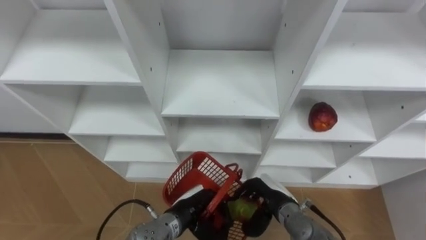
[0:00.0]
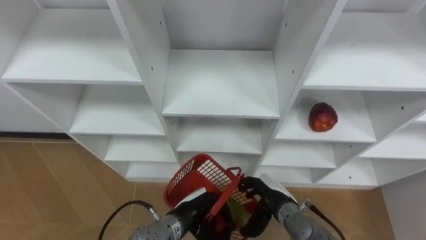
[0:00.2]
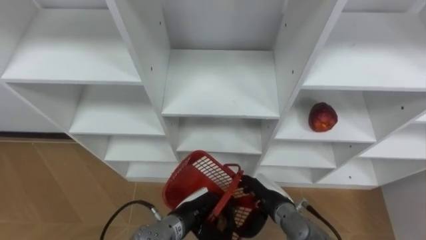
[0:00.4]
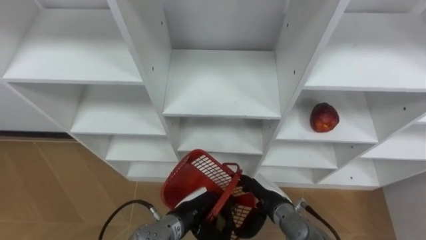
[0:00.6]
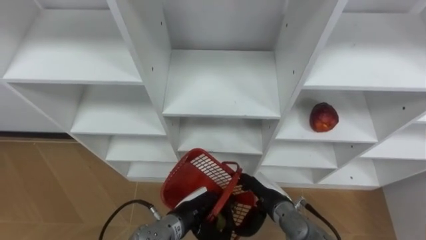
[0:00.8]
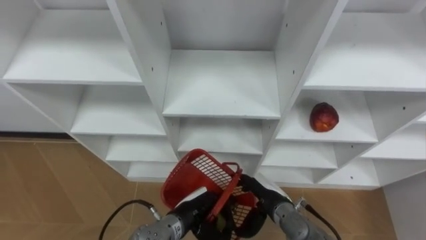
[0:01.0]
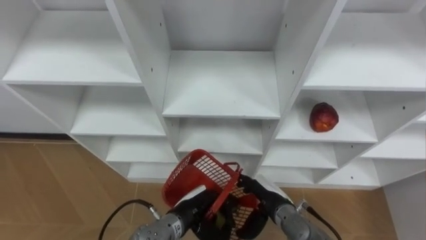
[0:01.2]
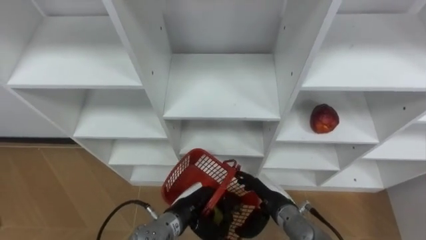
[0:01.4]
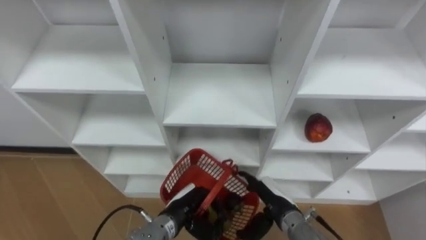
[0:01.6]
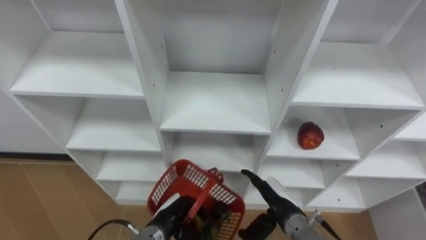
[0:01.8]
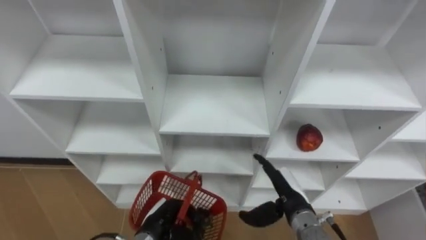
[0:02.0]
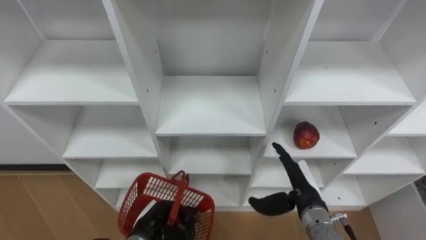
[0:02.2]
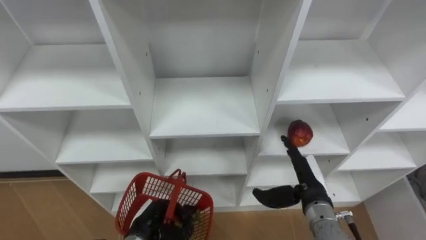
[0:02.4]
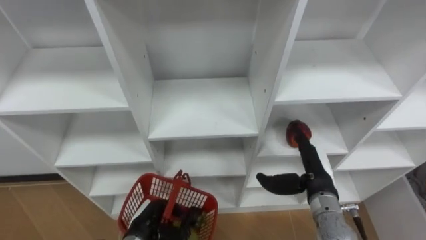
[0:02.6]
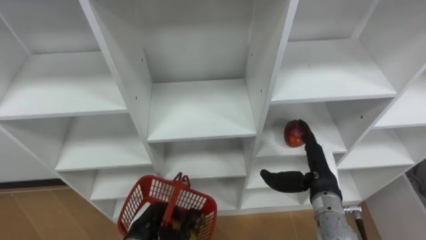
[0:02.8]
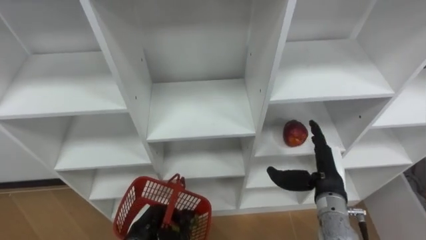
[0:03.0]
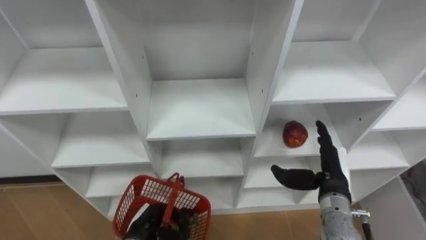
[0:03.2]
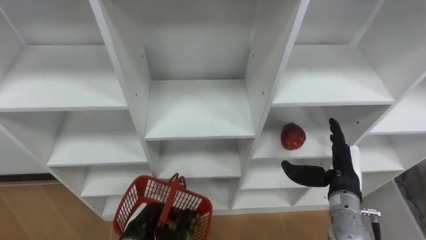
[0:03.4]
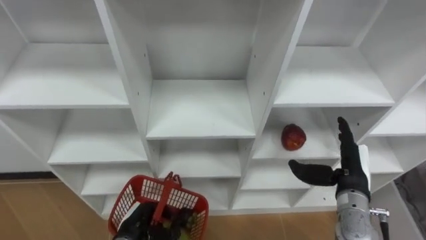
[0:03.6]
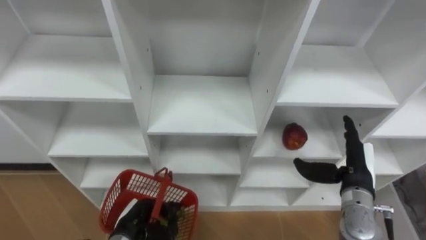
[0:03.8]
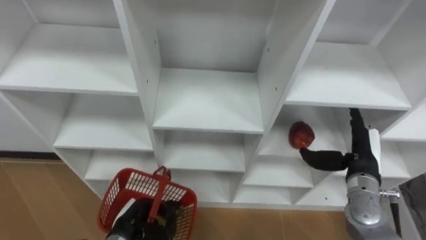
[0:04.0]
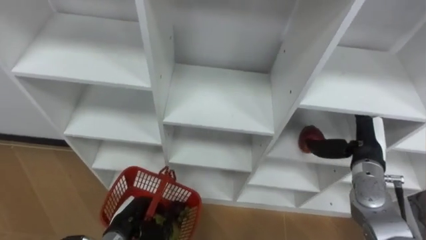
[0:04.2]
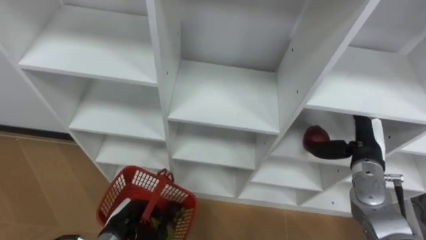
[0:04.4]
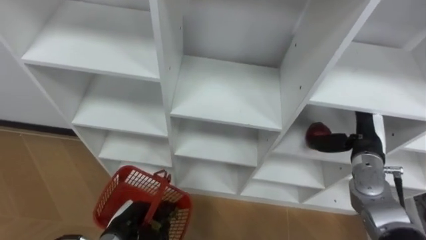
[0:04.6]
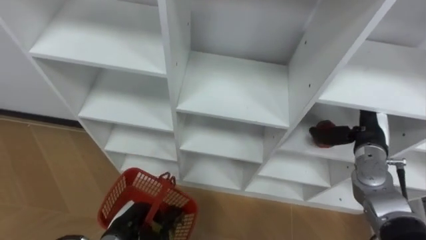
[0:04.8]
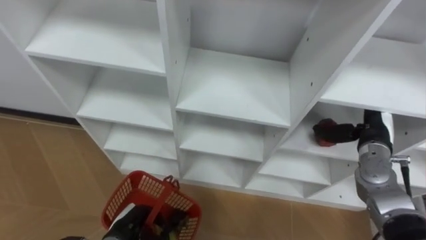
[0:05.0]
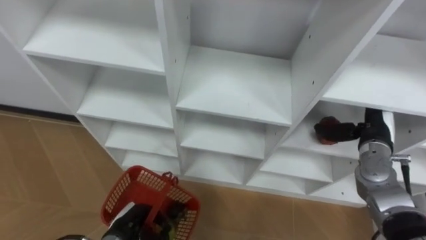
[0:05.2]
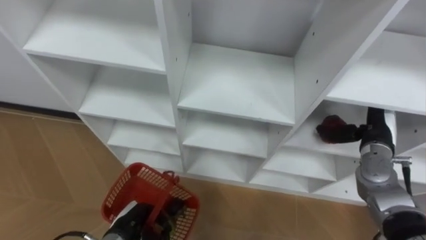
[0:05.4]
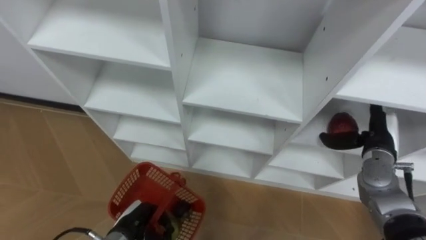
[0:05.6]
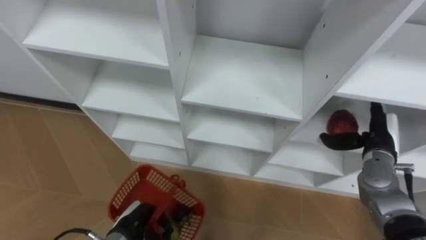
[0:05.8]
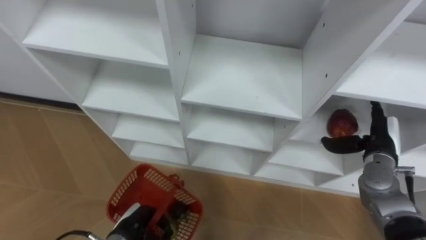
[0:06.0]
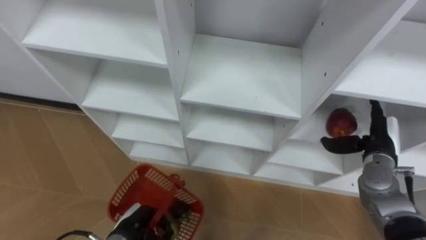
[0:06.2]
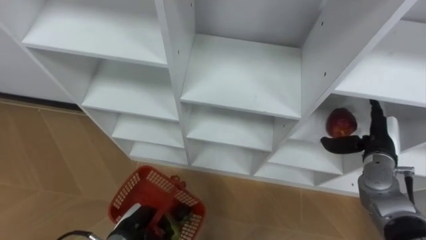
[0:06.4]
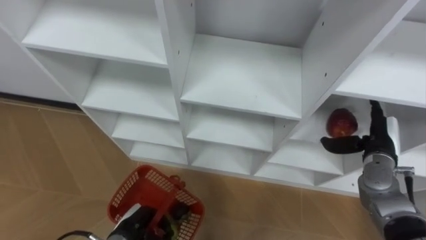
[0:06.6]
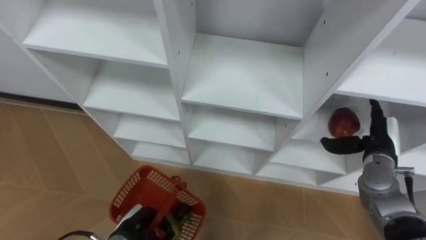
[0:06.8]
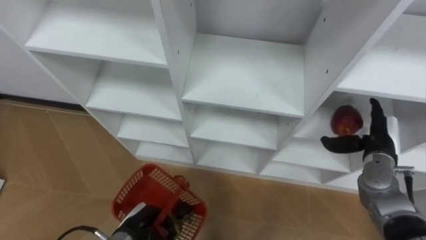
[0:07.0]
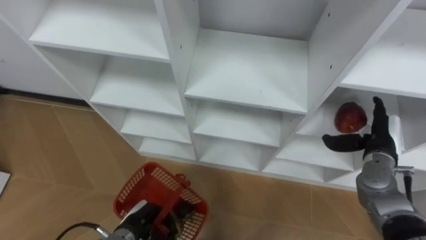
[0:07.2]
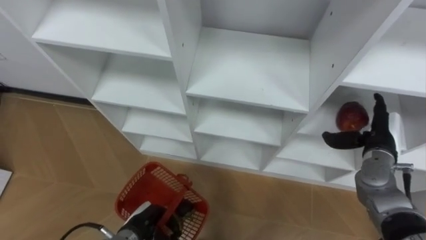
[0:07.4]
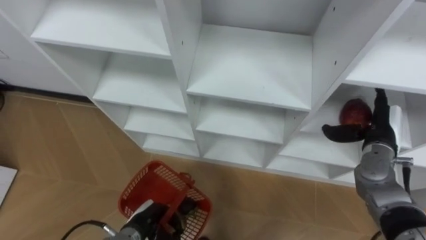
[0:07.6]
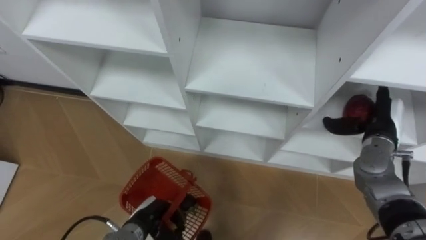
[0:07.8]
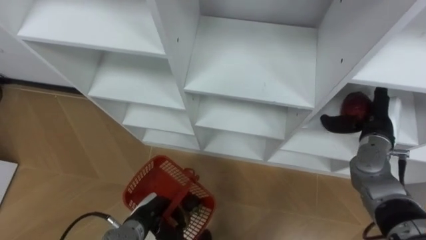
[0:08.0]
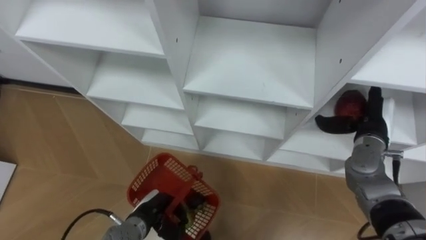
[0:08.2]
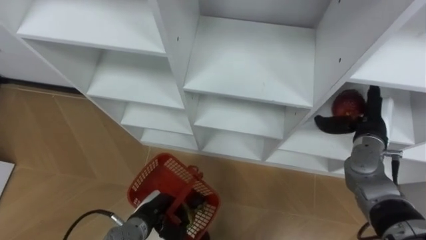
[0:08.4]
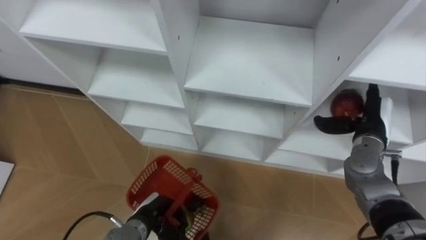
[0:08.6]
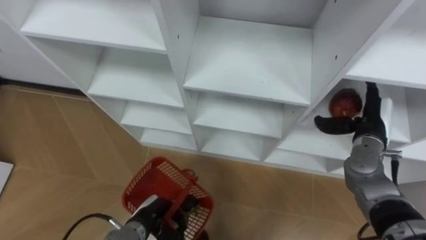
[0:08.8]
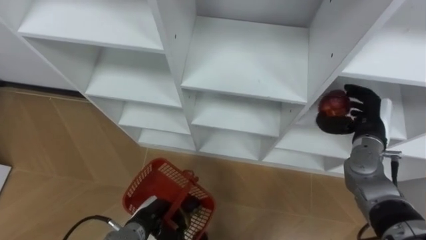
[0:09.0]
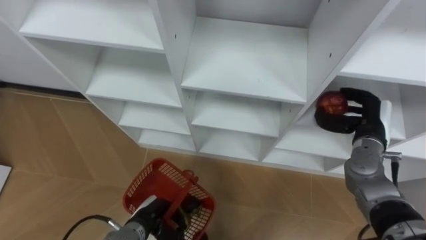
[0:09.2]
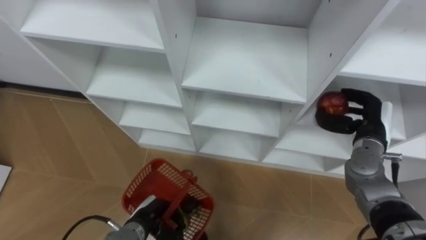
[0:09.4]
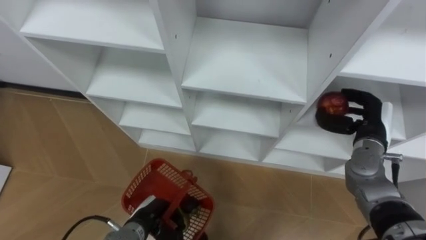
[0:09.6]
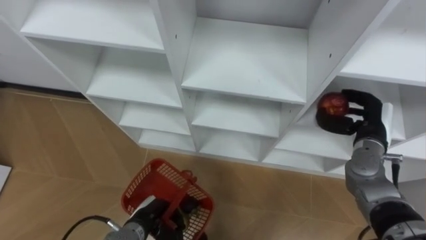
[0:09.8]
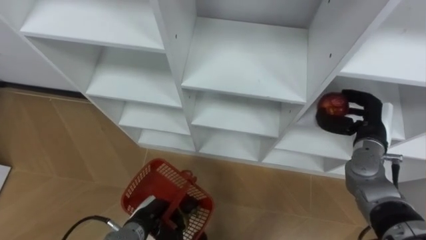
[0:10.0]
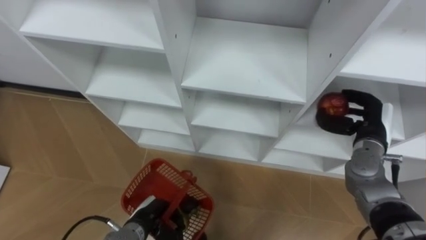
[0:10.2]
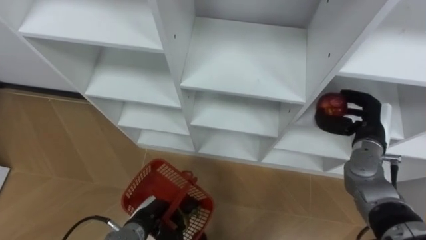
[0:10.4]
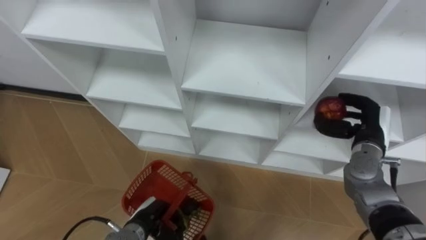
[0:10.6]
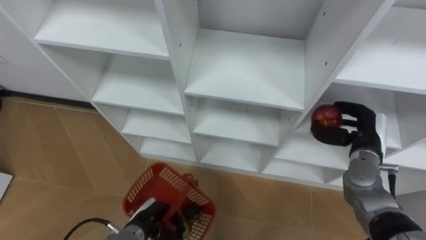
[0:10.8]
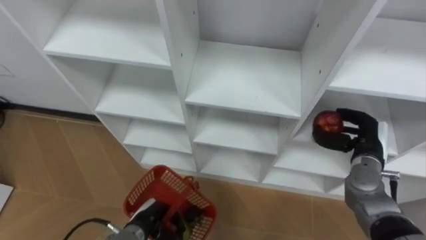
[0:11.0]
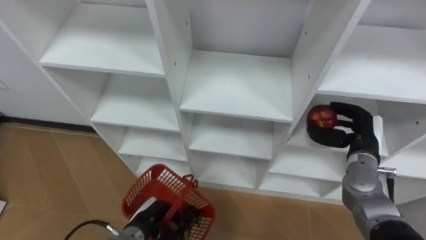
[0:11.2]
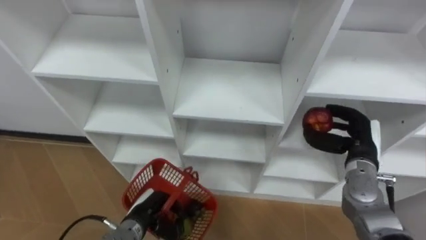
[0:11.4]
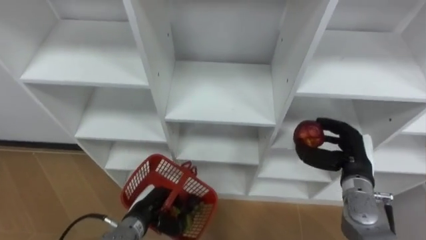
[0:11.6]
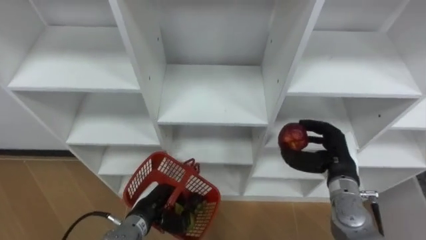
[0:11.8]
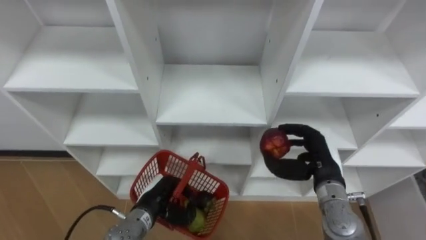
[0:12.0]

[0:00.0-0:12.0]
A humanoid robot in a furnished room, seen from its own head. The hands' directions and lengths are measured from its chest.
Task of the whole recording: Hold the basket and collect the fruits from 3 different cells of the closet into it.
0.0 to 1.6 s: The right hand opens.
1.6 to 3.0 s: The left hand shifts roughly 10 cm to the left; the right hand shifts some 10 cm to the right and upward.
3.0 to 4.4 s: The right hand goes some 10 cm to the right.
7.6 to 9.0 s: The right hand closes its fingers.
10.4 to 12.0 s: The right hand moves to the left and backward, approximately 10 cm. Meanwhile the left hand moves about 5 cm.

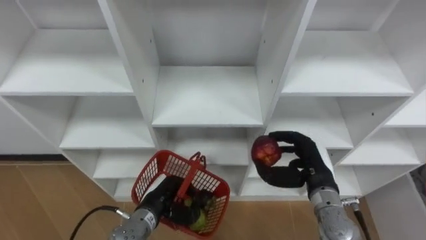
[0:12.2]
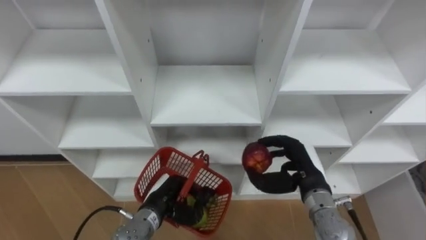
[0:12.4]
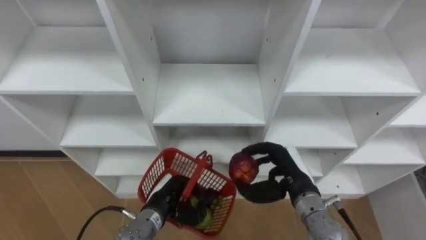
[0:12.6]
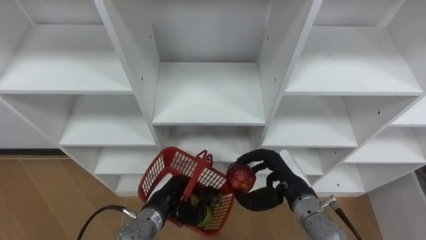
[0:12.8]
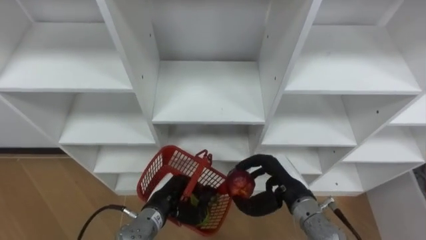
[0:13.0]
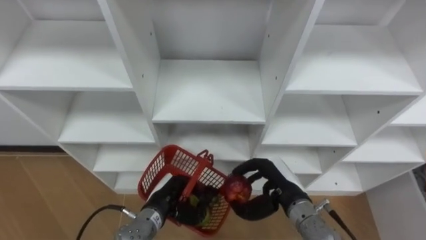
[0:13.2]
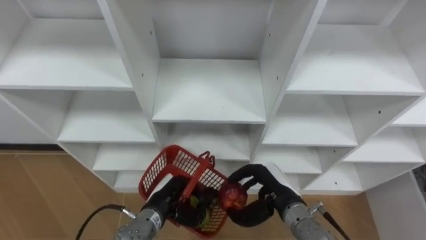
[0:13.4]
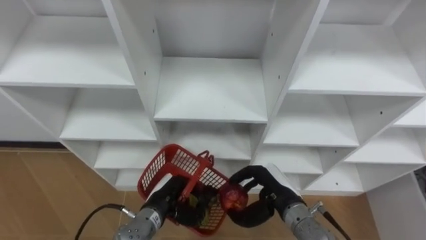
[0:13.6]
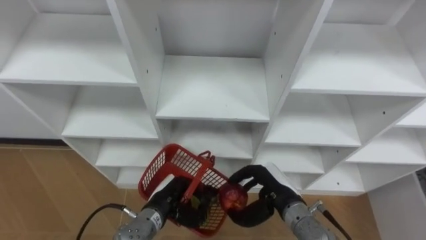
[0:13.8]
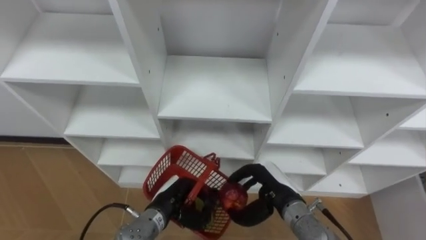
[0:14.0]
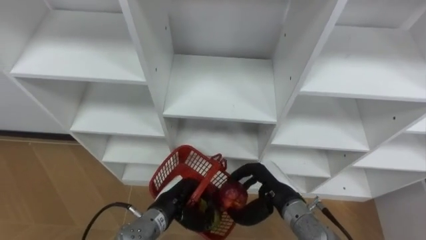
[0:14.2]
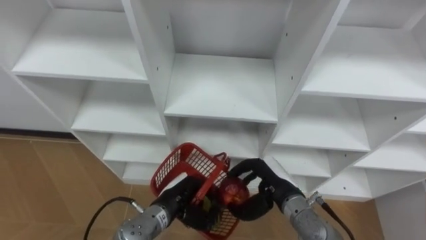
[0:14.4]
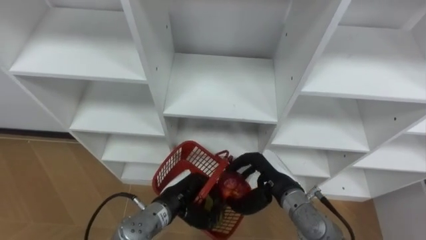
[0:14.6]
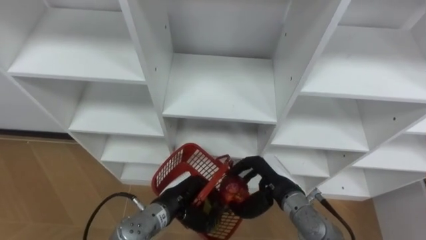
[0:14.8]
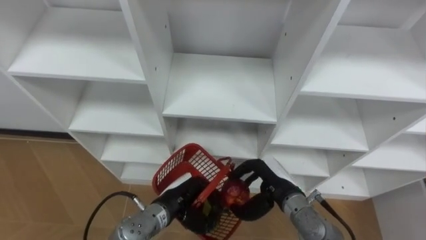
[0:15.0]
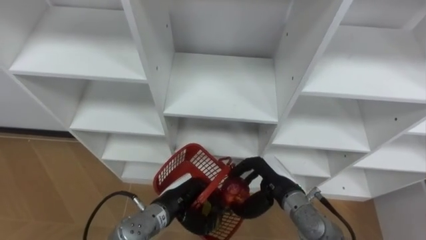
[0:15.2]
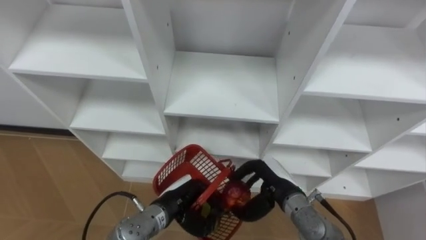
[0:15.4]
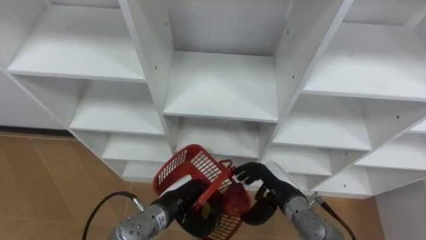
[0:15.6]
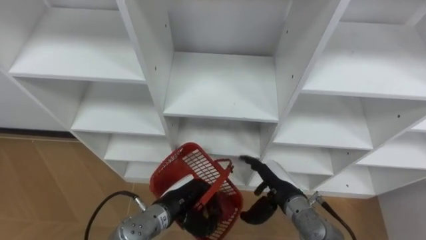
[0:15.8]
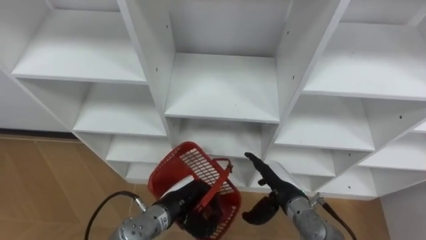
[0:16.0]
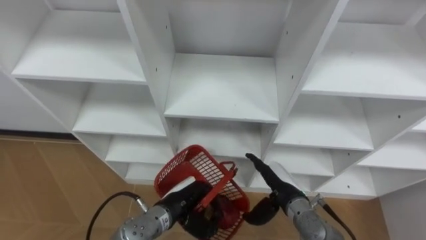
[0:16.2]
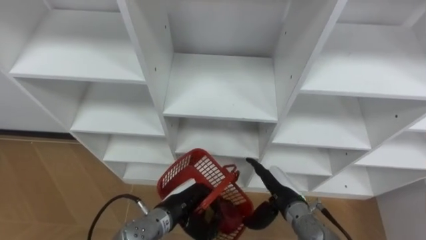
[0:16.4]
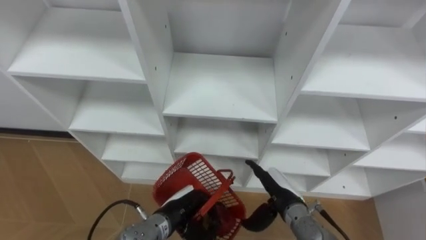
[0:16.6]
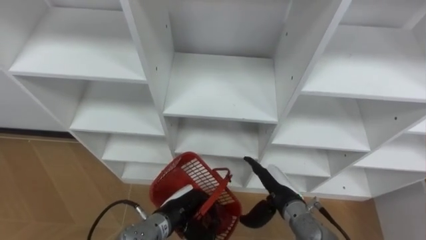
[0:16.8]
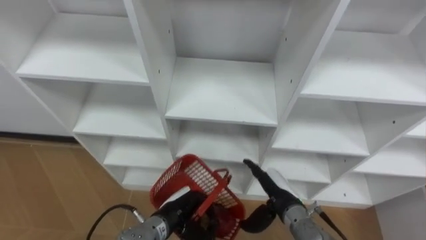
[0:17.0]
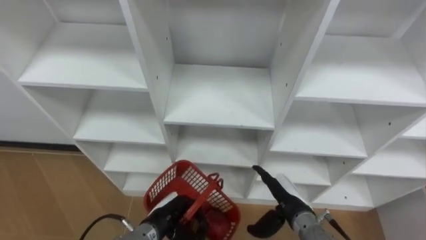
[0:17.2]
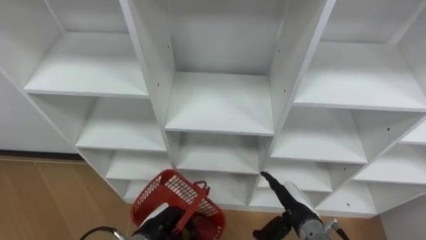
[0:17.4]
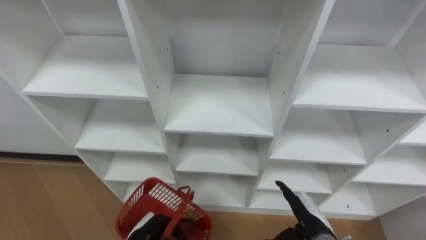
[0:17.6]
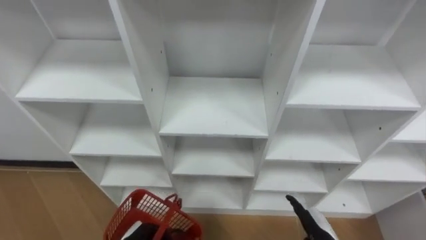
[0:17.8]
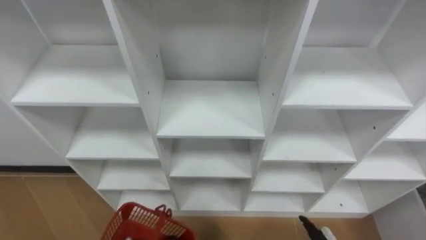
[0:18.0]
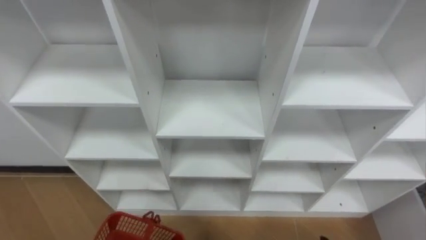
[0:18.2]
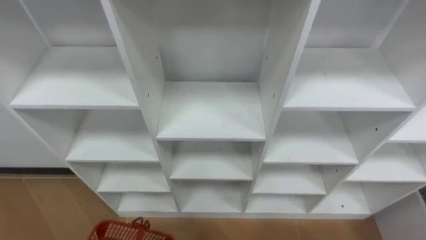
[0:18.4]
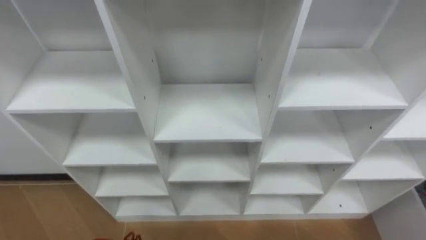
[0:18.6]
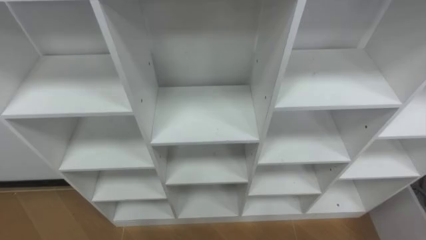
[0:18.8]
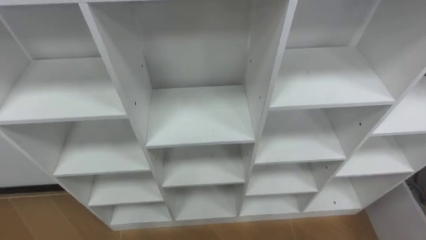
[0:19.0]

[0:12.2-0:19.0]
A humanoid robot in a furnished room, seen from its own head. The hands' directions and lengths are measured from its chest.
Task of the whole recording: Hold the basket and collect the fruits from 3 different cells of the closet into it.
12.2 to 13.6 s: The right hand shifts about 5 cm to the left.
15.0 to 16.2 s: The right hand opens.
16.2 to 17.6 s: The left hand shifts roughly 10 cm to the left, backward and downward, while the right hand travels backward and to the right by about 10 cm.
